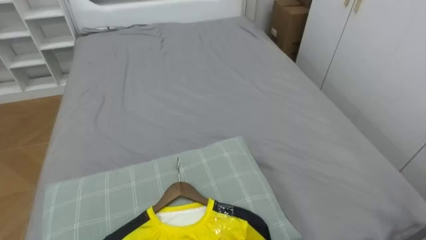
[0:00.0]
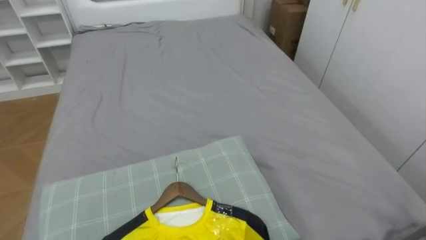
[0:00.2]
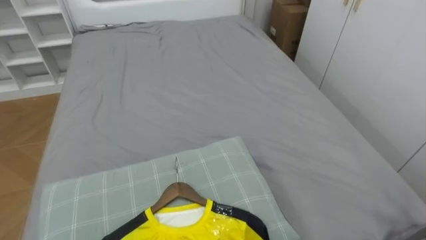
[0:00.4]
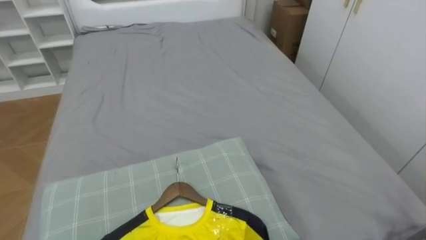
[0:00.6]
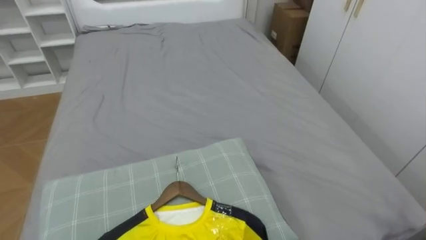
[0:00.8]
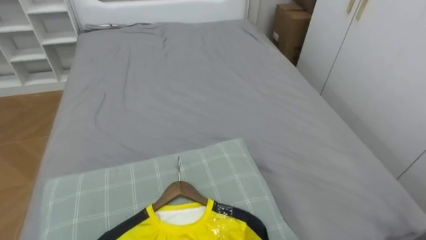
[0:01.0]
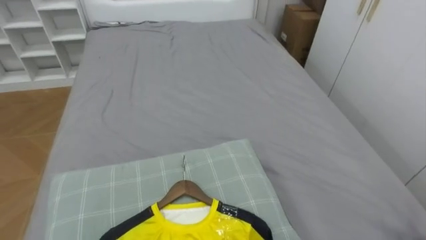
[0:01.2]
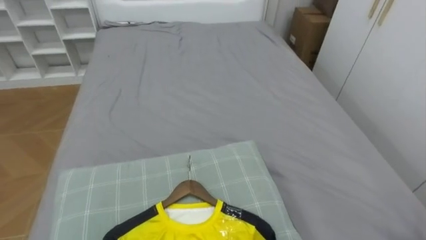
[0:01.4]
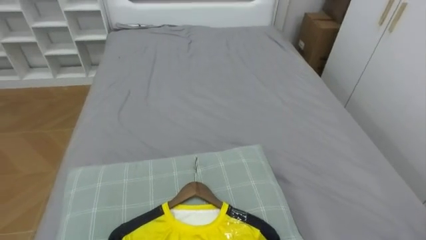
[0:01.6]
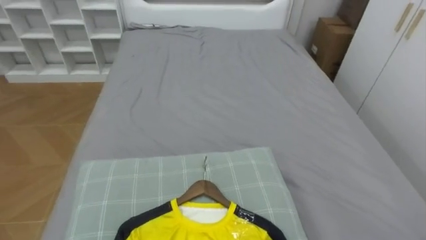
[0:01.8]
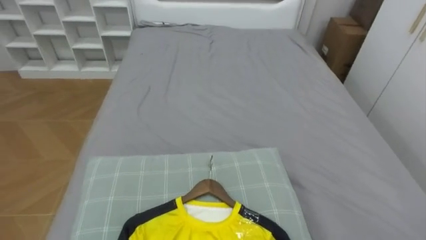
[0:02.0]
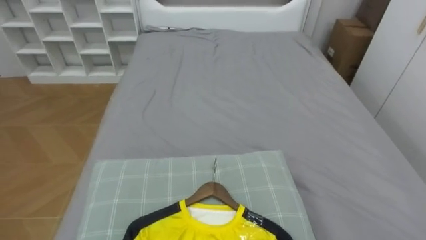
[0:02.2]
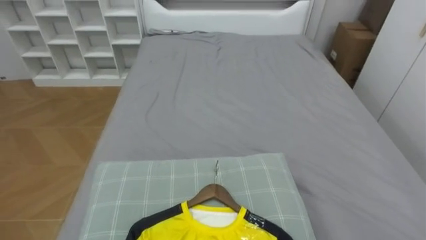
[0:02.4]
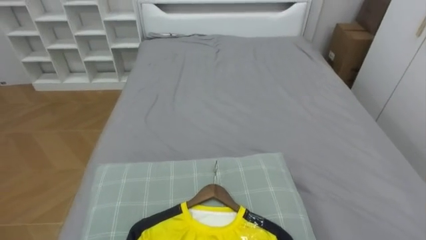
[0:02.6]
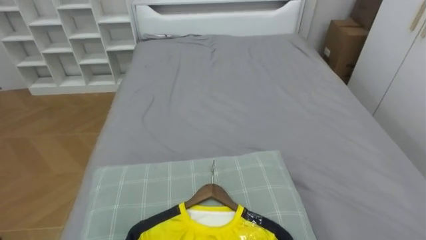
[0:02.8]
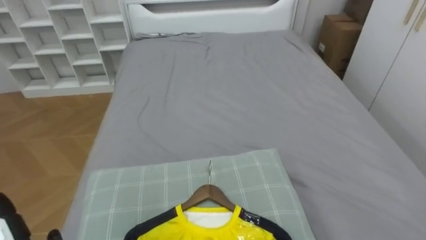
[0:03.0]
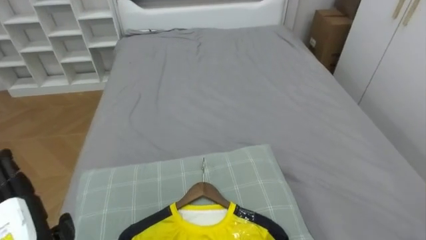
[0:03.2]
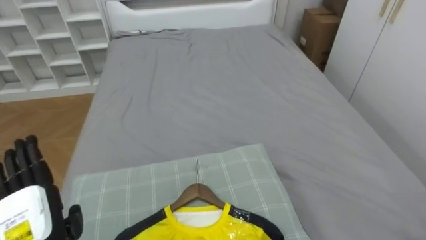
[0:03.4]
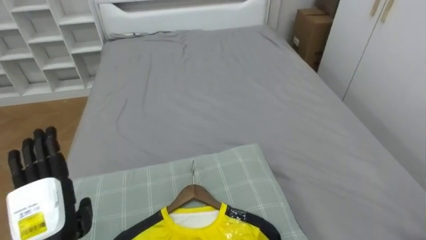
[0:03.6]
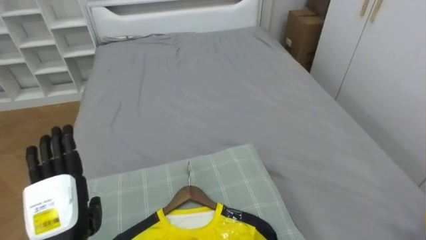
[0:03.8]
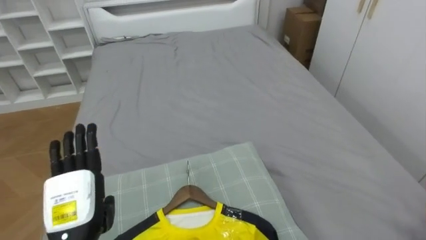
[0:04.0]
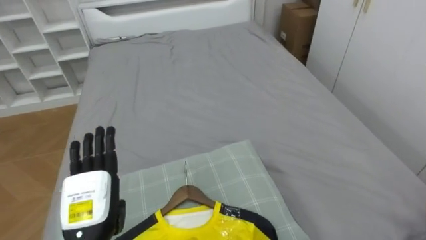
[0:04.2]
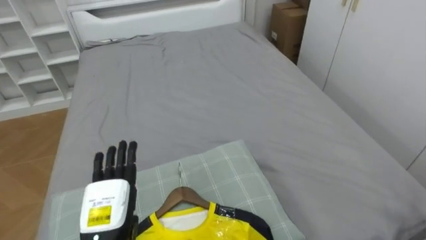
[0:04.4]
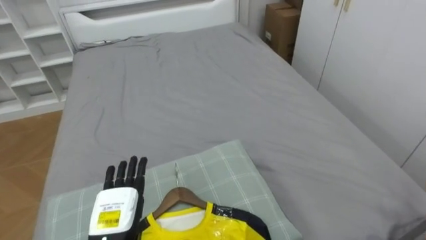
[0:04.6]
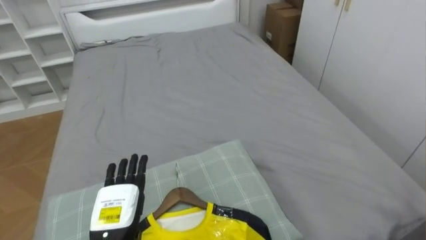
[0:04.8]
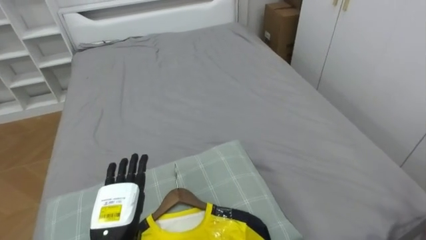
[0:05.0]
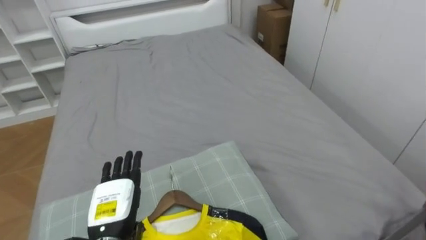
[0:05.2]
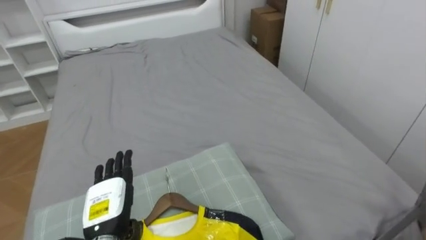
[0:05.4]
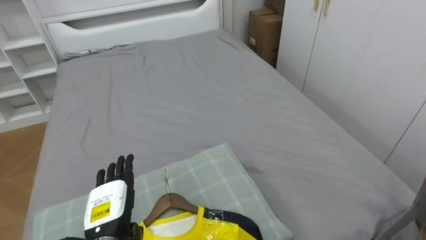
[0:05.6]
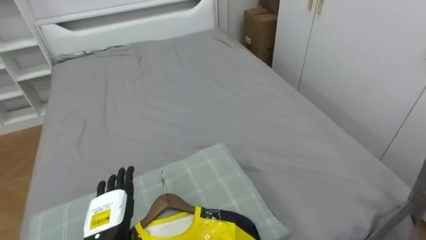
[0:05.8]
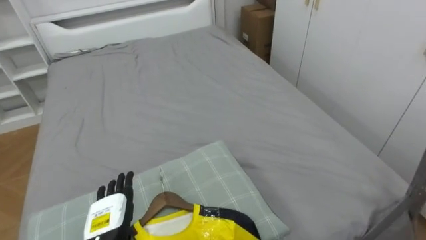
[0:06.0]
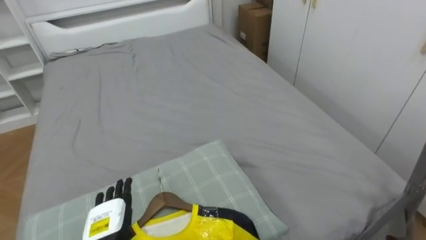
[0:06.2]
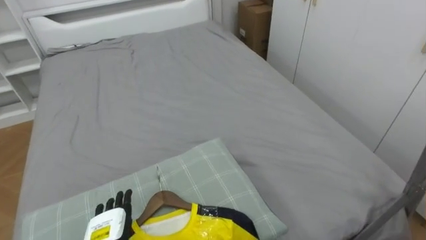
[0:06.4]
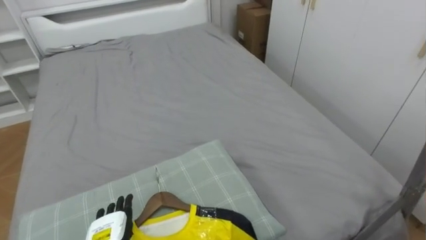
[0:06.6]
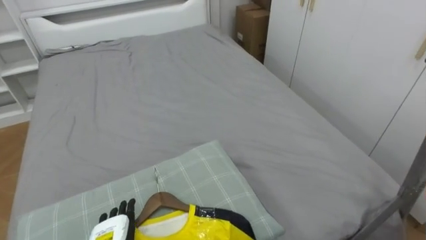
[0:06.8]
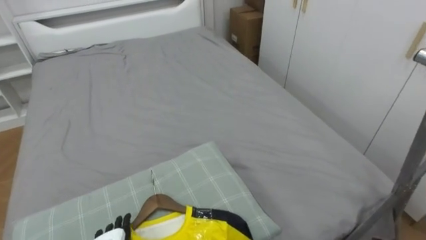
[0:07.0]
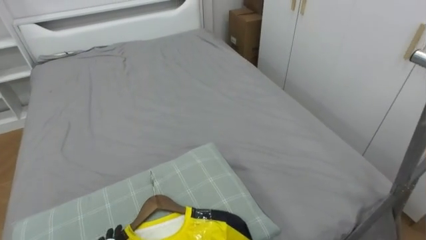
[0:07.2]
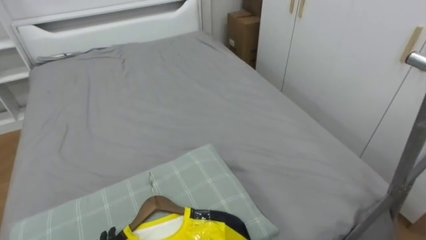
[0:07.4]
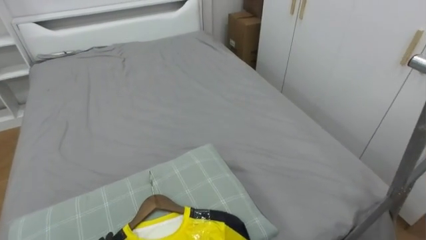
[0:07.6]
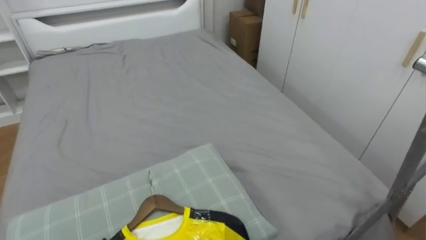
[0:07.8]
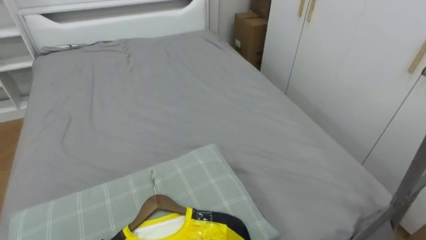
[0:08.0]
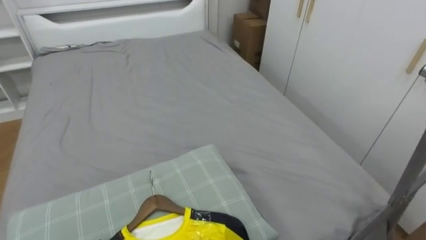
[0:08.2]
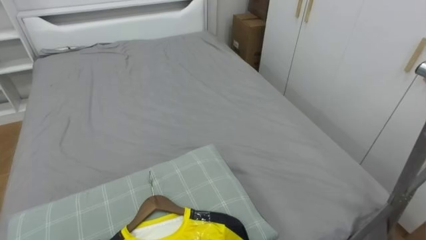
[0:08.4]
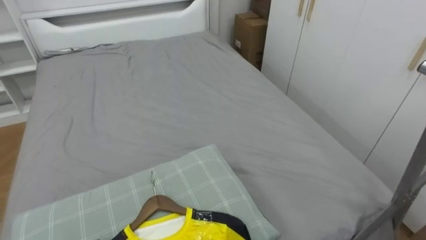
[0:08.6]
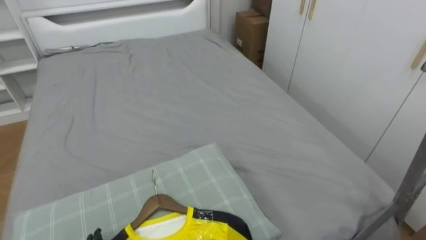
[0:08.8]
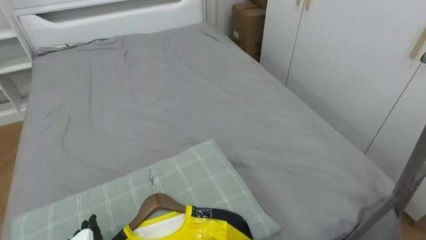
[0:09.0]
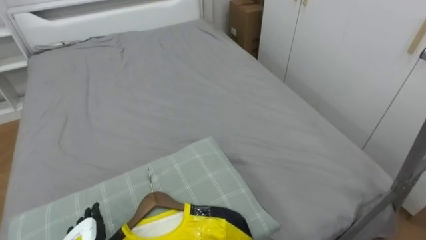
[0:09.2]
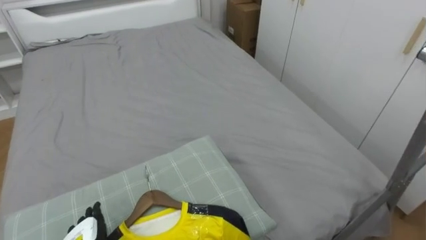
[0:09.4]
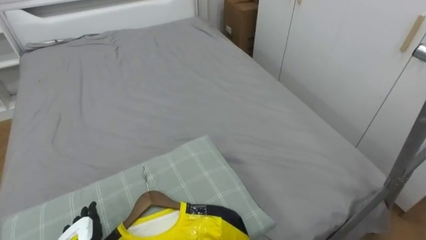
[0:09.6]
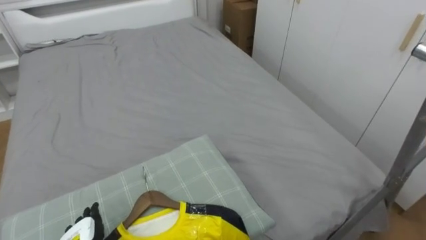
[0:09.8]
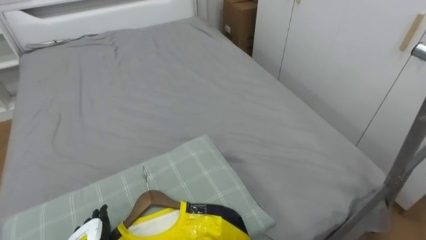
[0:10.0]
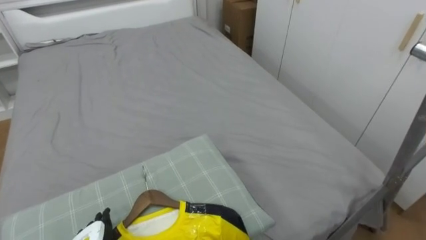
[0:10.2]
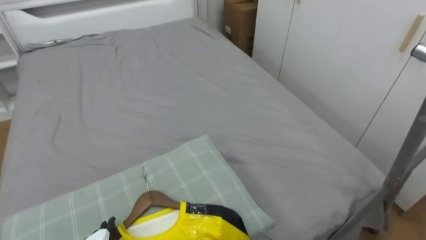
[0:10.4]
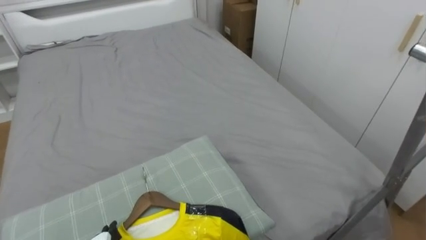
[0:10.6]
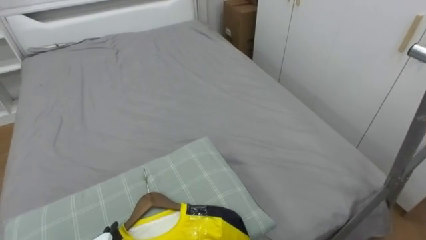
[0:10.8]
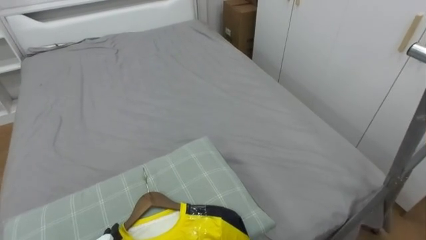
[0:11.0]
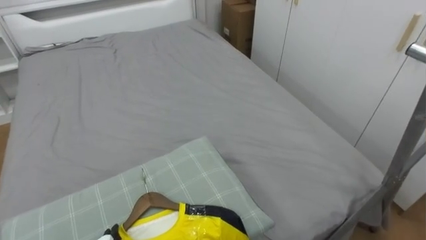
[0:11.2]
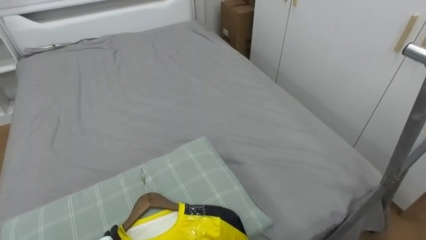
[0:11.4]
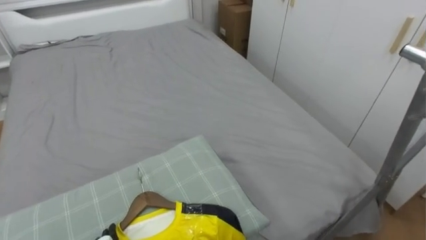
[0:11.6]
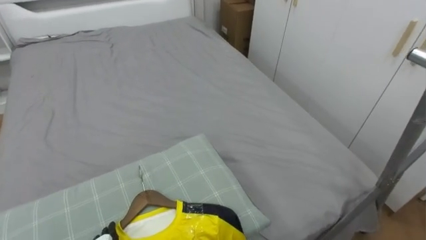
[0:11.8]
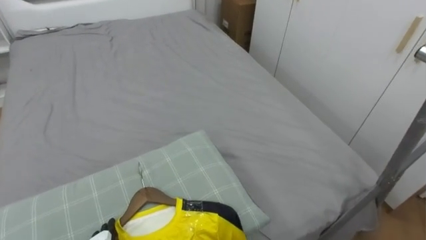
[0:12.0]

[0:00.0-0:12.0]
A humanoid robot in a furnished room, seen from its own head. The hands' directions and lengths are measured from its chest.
Task of the whole recording: Pick up the yellow shirt on the bed and hang it on the clothes rack on the right.
0:04.4 to 0:06.0: The left hand travels downward by approximately 5 cm.

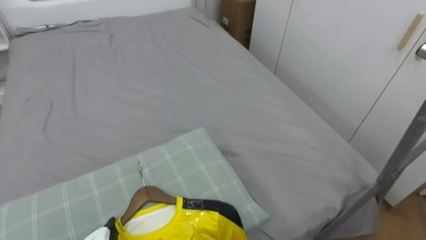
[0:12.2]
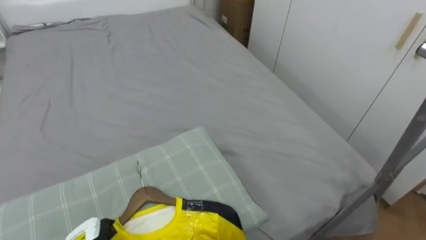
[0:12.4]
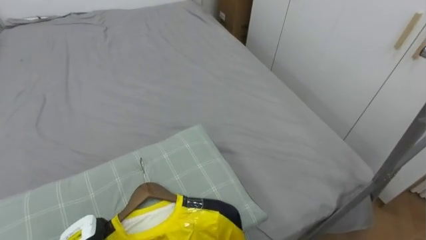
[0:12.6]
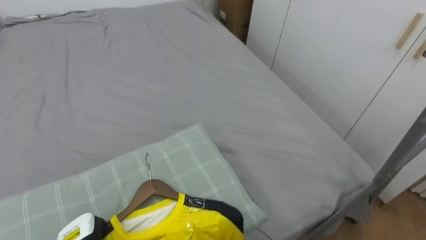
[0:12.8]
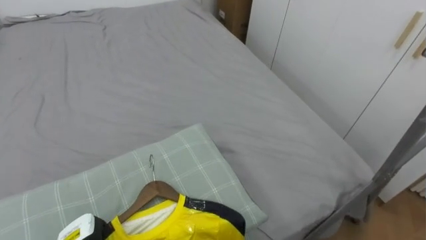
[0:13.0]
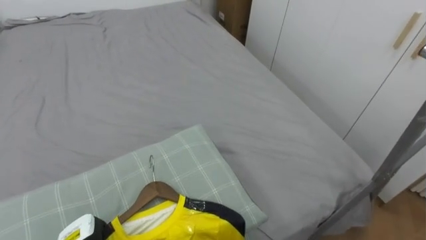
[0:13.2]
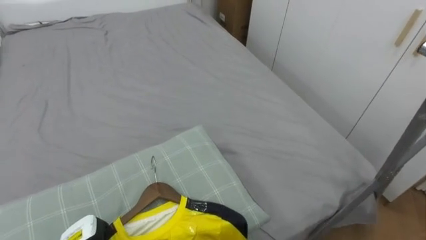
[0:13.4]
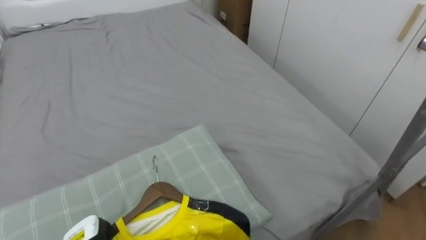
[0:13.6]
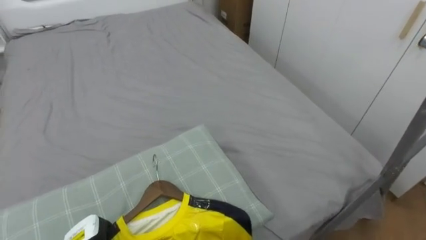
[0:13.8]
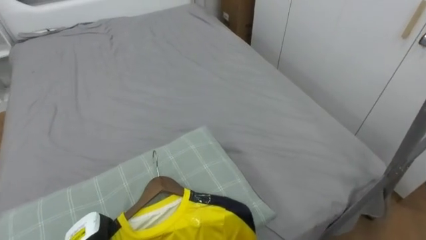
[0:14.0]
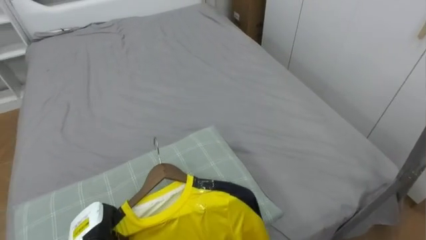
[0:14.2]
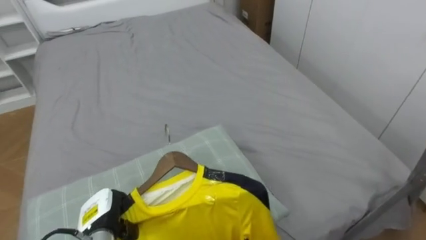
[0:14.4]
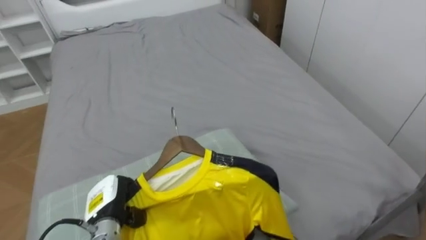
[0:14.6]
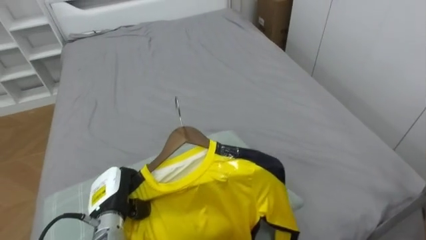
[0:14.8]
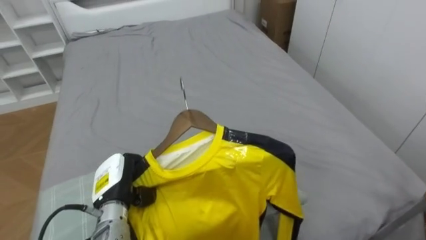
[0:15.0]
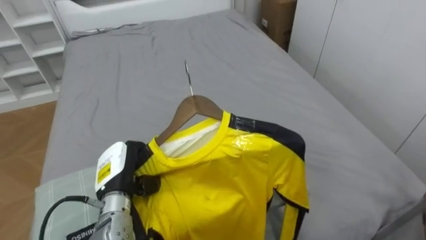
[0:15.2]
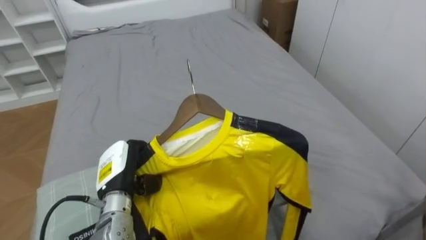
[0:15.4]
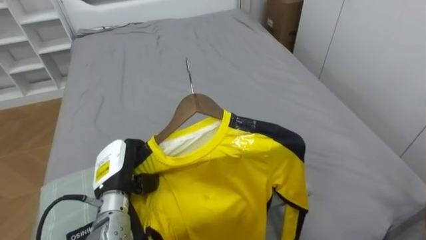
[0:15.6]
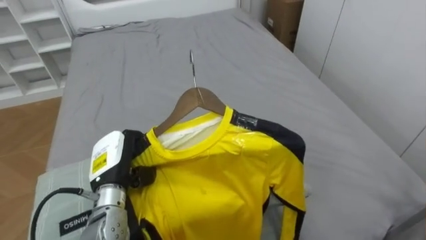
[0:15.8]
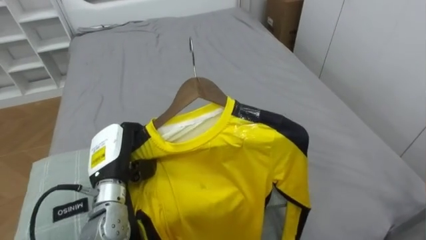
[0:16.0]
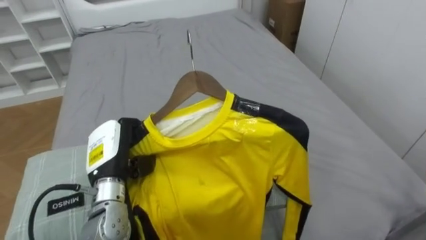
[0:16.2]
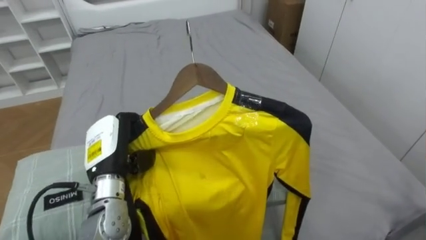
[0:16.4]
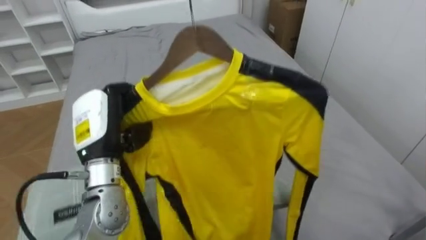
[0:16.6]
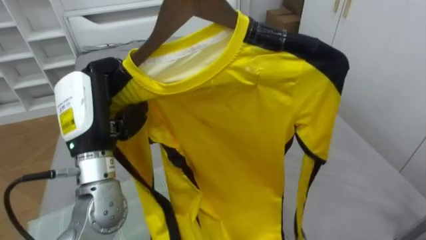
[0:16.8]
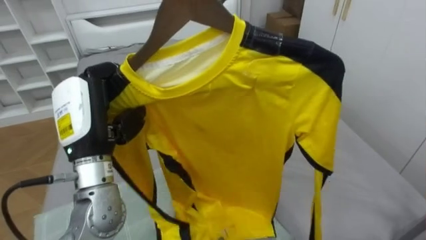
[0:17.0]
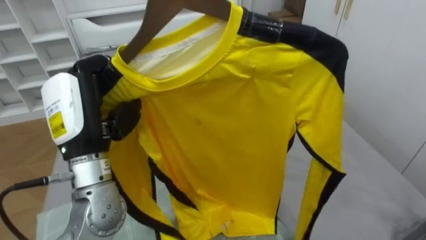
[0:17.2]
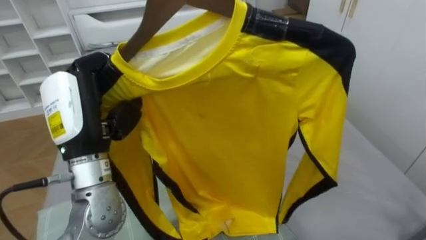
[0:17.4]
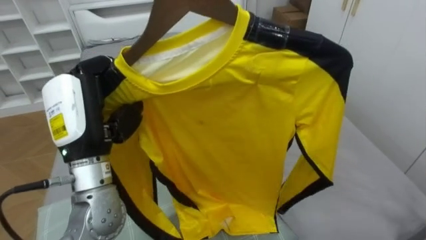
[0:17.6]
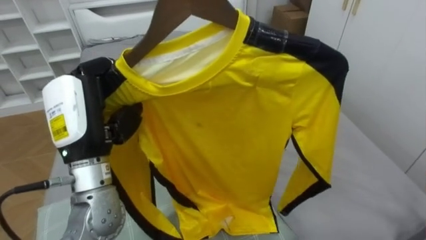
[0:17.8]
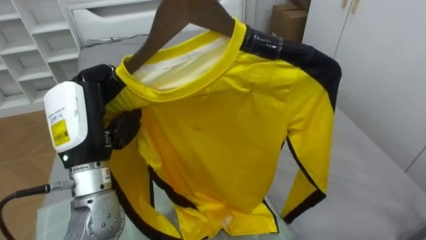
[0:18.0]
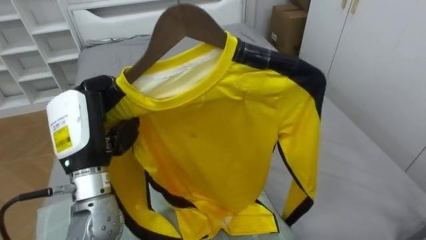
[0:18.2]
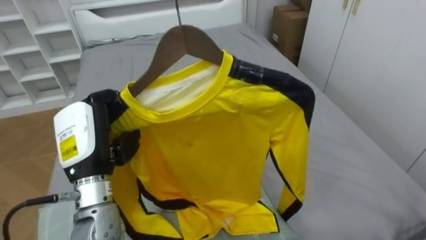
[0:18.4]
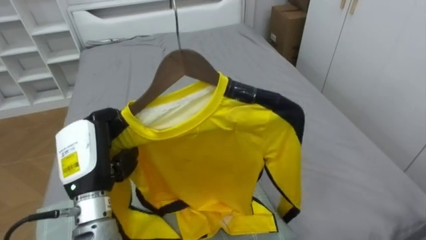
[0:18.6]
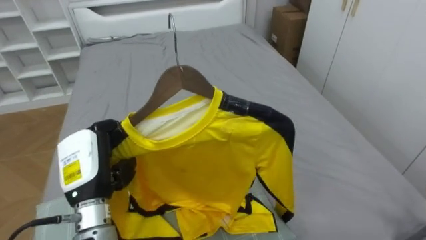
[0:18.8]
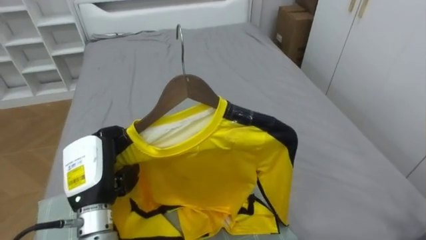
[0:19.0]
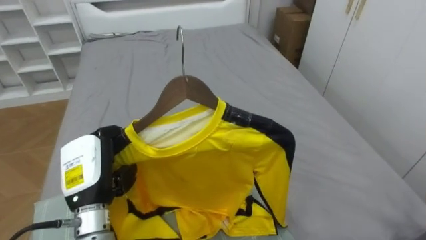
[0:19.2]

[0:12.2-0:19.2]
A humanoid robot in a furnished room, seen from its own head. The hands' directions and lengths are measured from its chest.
Task of the whole recording: Pick up the yellow shirt on the bed and hang it on the clothes rack on the right.
0:15.0 to 0:16.4: The left hand shifts some 10 cm upward.
0:16.4 to 0:17.8: The left hand goes approximately 10 cm upward.
0:17.8 to 0:19.2: The left hand heads downward, covering about 10 cm.
